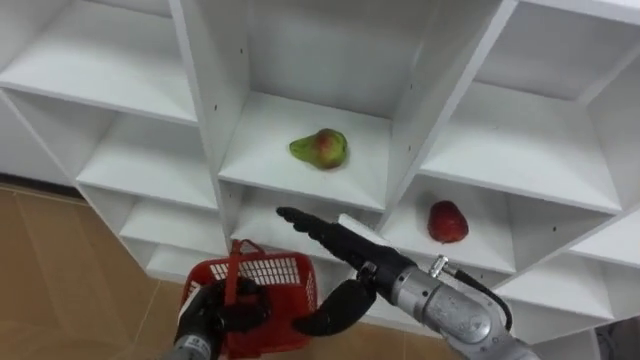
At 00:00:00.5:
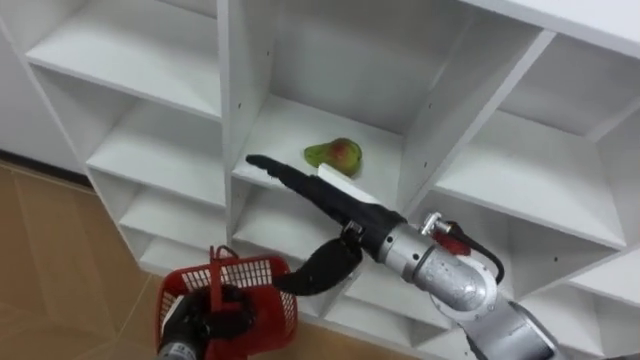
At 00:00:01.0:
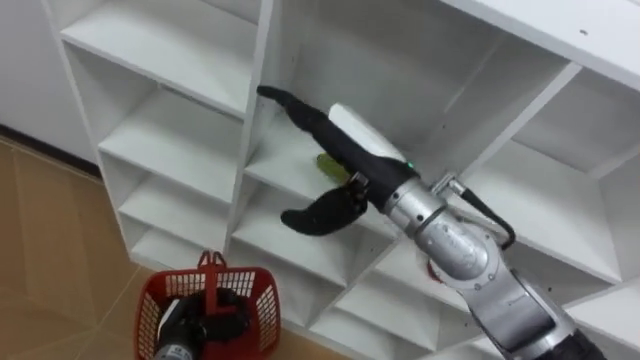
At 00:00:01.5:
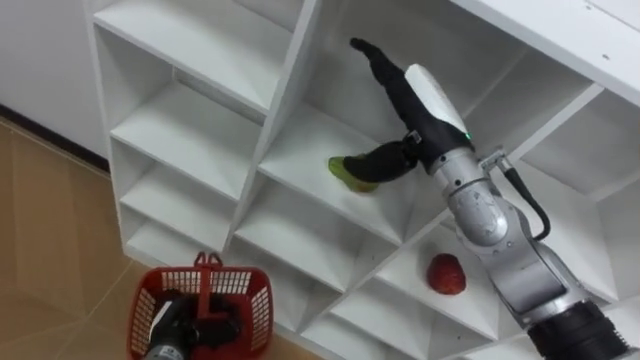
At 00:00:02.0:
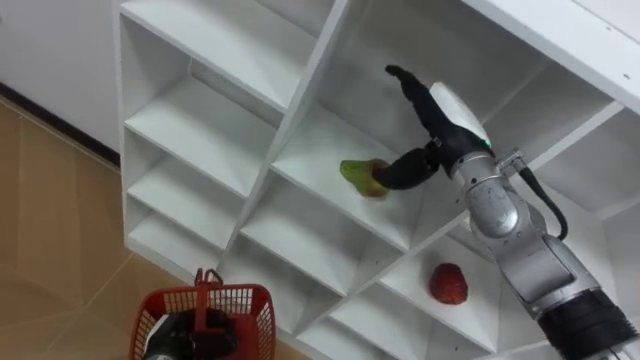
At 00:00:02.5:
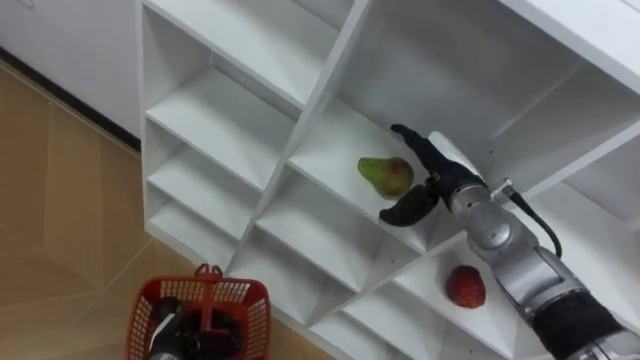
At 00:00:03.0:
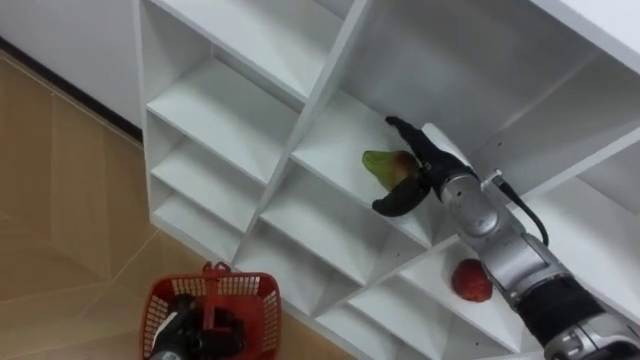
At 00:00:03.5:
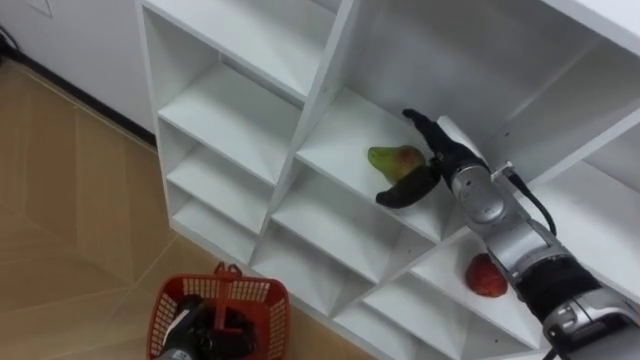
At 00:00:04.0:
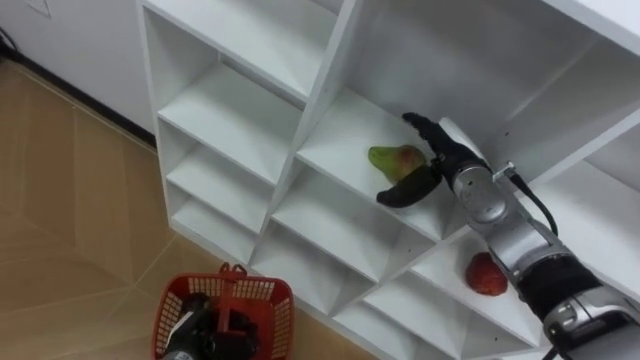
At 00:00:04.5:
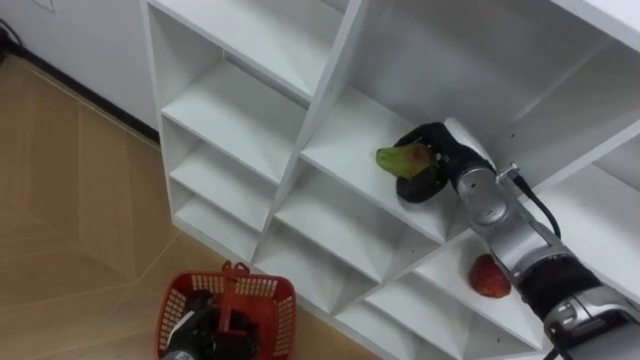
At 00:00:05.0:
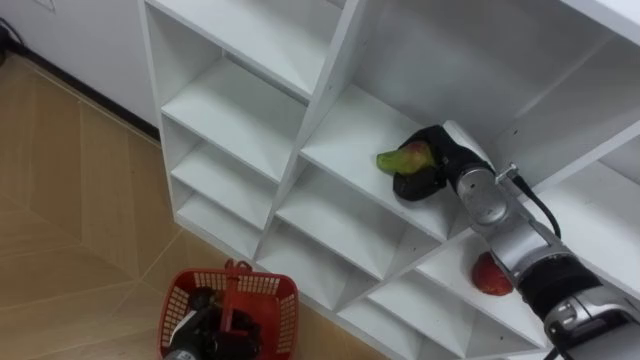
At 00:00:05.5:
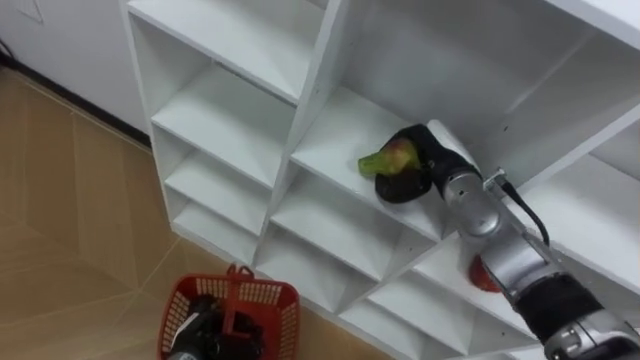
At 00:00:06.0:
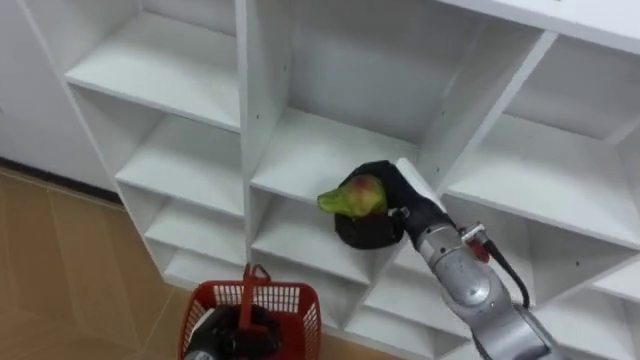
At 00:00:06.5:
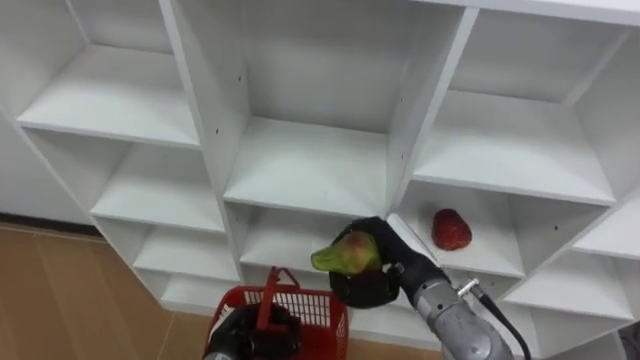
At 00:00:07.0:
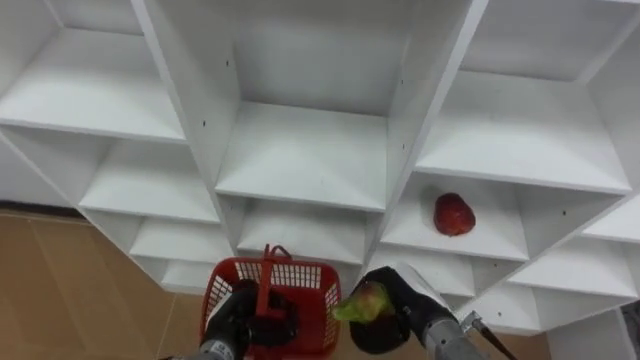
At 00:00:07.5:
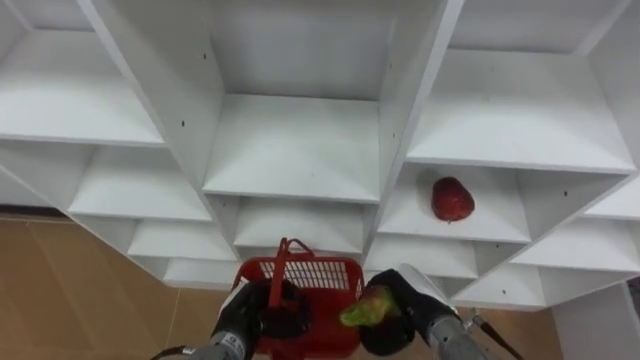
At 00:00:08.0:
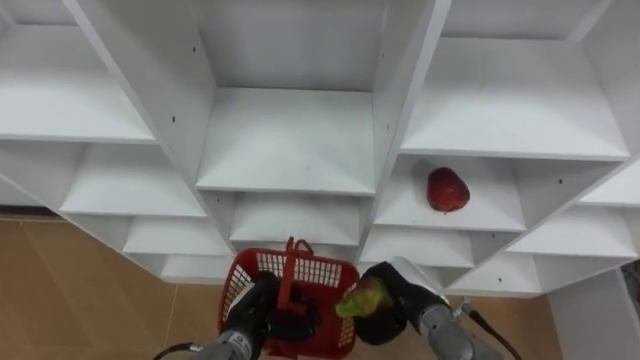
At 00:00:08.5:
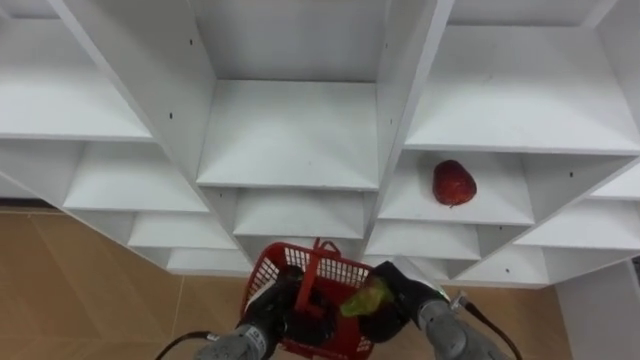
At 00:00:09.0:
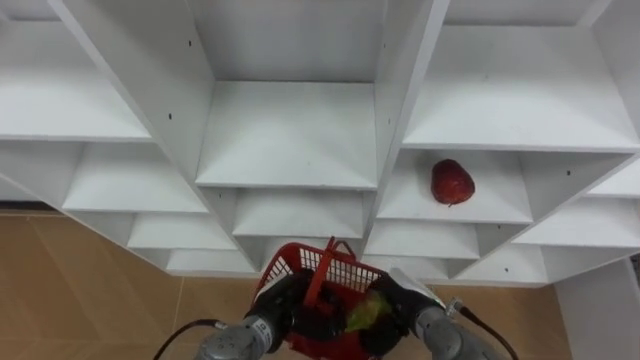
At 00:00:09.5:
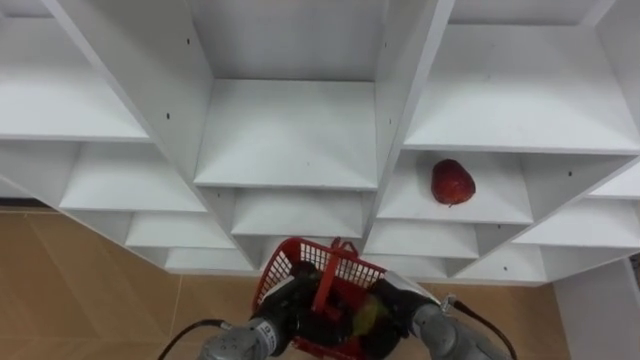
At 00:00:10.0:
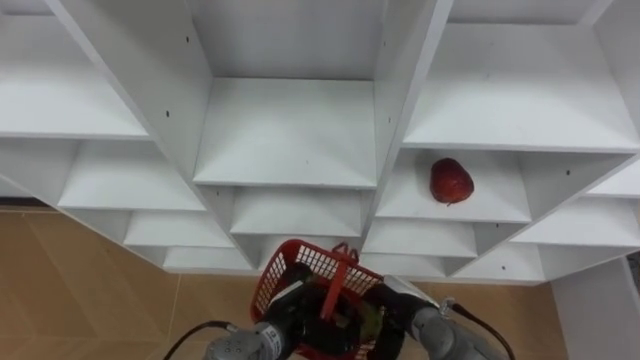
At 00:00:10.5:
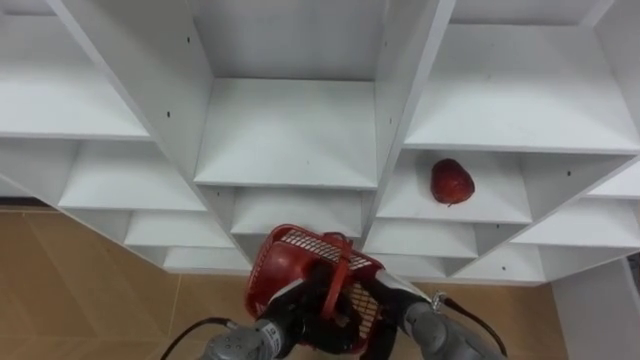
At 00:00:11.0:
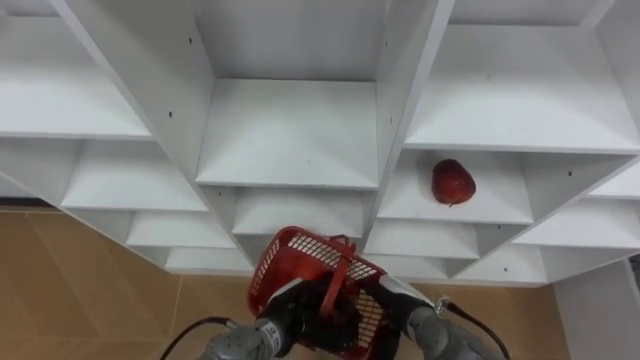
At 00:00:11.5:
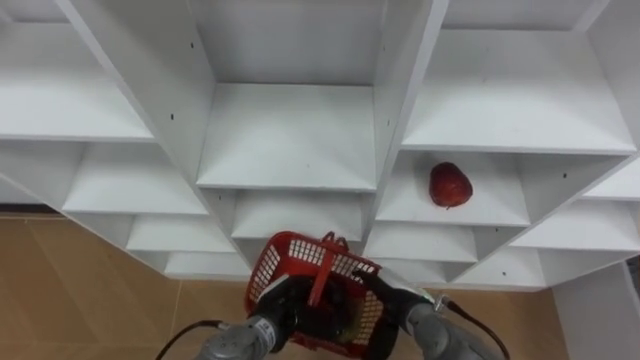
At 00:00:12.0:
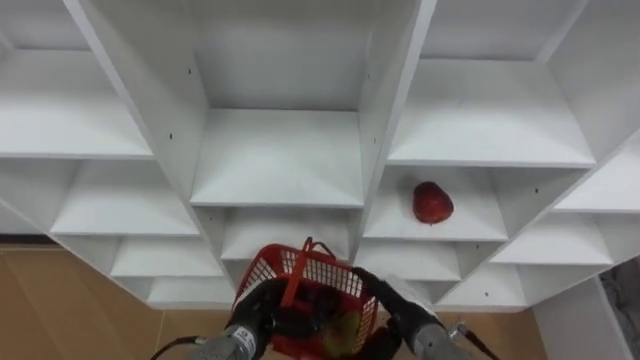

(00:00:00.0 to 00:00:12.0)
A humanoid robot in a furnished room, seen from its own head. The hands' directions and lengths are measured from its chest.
Task of the whole recording: Hold the basket and collect the fruits from 3 different cells of the closet into it.
00:00:00.0 - 00:00:02.0: The right hand heads forward, to the right and upward, covering roughly 20 cm, while the left hand shifts by approximately 5 cm.
00:00:02.0 - 00:00:04.0: The right hand moves downward, roughly 5 cm.
00:00:04.0 - 00:00:06.0: The right hand travels backward and to the left by some 10 cm, and closes.
00:00:06.0 - 00:00:08.0: The left hand goes approximately 5 cm to the right; the right hand heads downward and backward, covering roughly 15 cm.
00:00:08.0 - 00:00:10.0: The left hand heads to the right, covering approximately 5 cm. The right hand opens its fingers.
00:00:10.0 - 00:00:12.0: The left hand moves roughly 5 cm. Meanwhile the right hand opens up.

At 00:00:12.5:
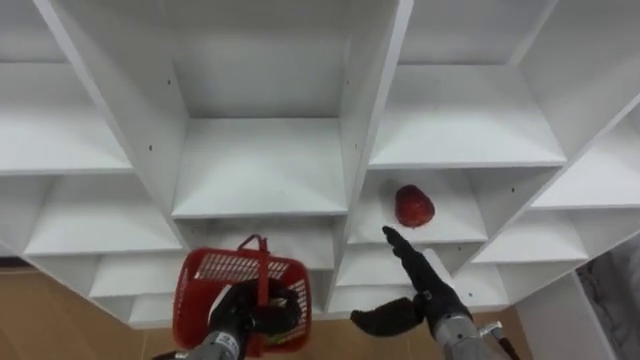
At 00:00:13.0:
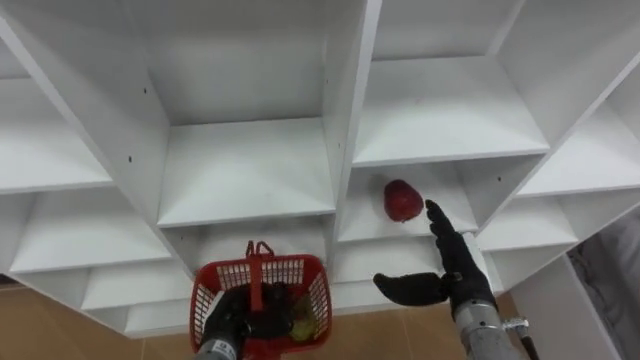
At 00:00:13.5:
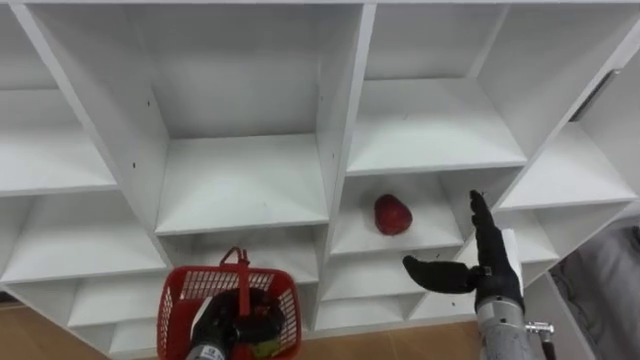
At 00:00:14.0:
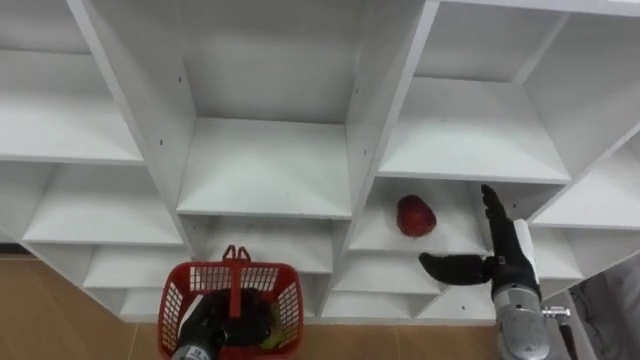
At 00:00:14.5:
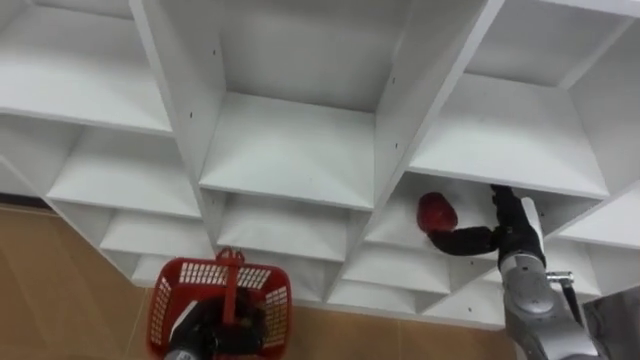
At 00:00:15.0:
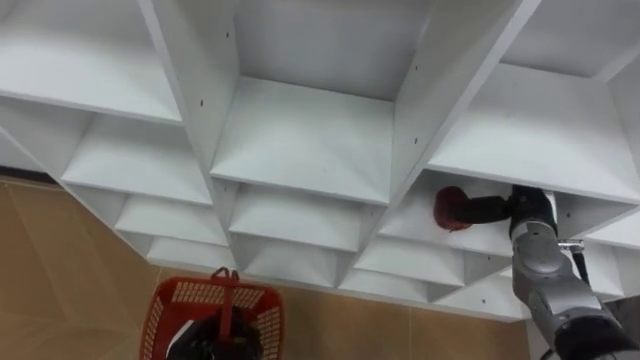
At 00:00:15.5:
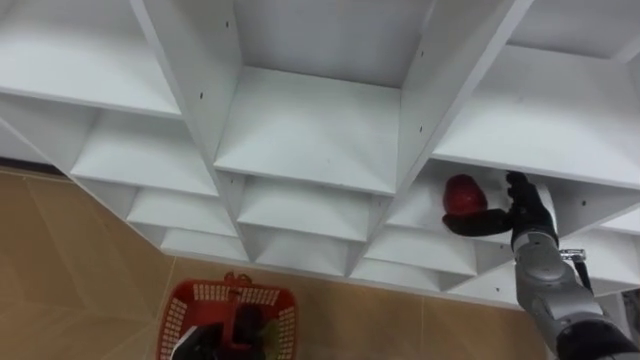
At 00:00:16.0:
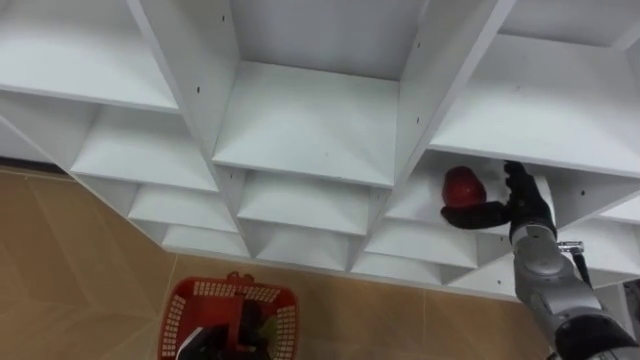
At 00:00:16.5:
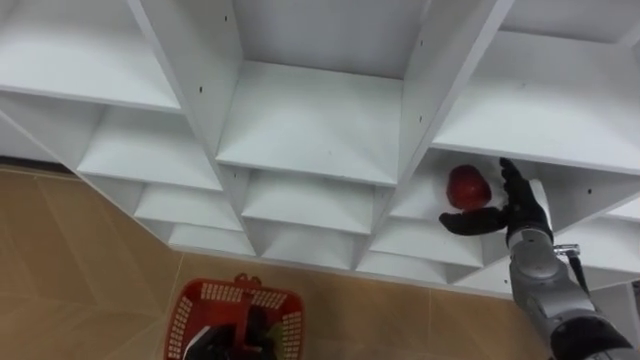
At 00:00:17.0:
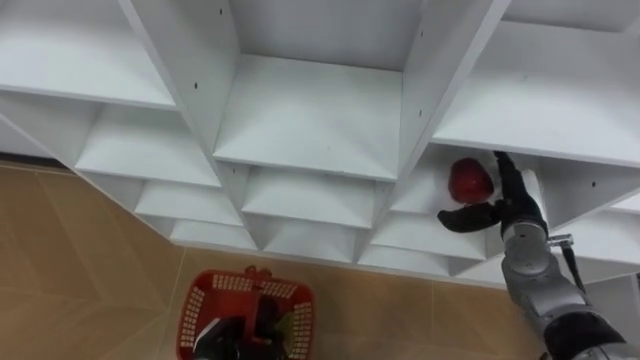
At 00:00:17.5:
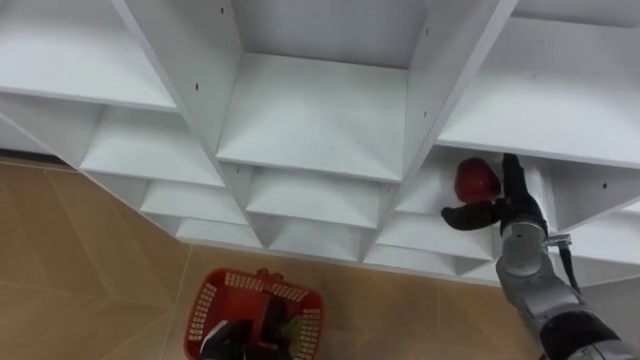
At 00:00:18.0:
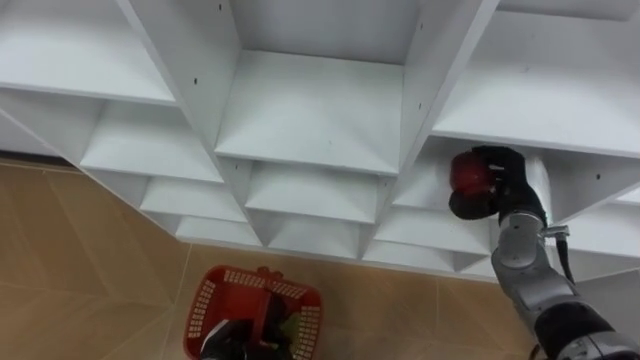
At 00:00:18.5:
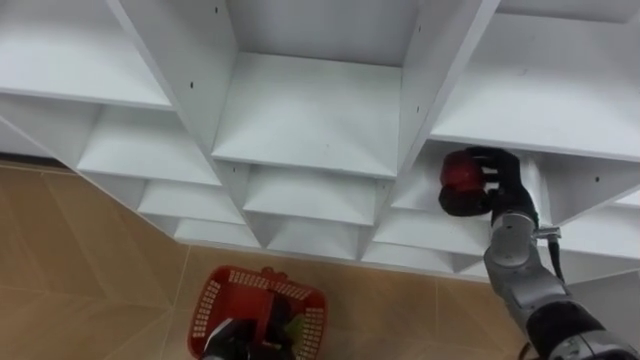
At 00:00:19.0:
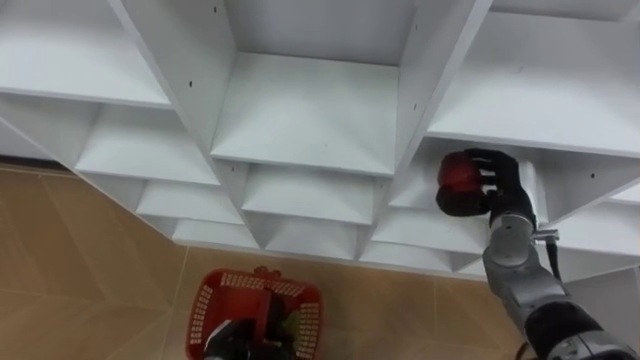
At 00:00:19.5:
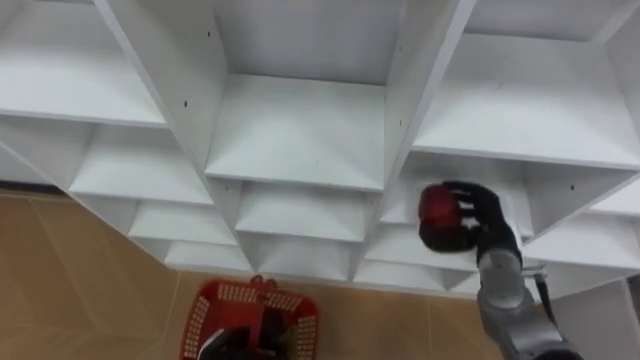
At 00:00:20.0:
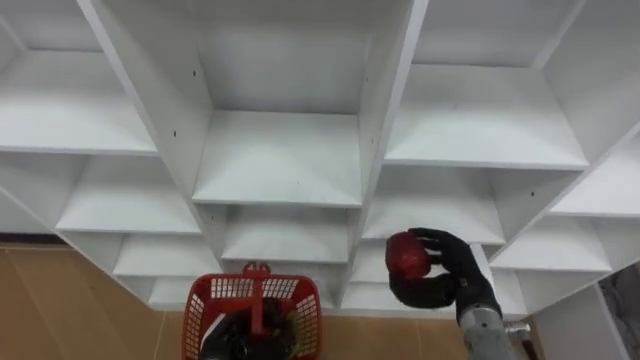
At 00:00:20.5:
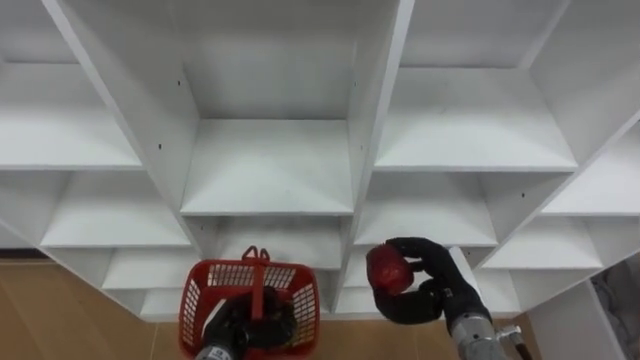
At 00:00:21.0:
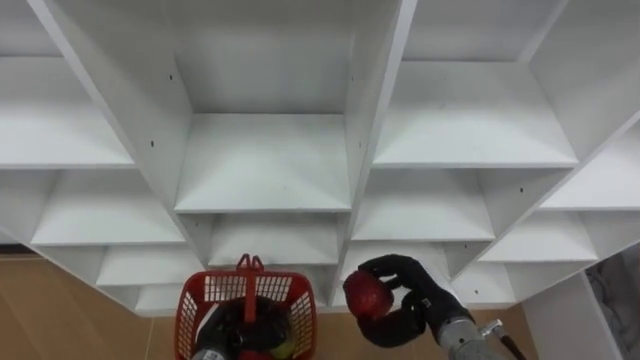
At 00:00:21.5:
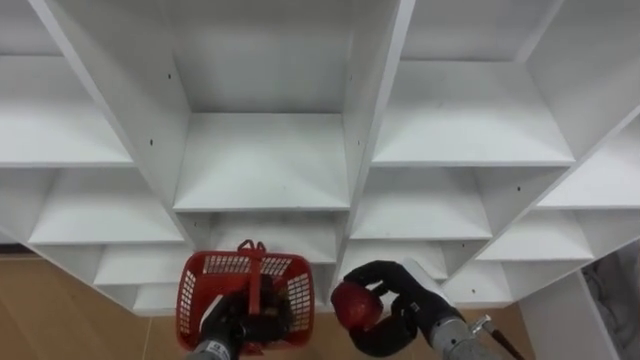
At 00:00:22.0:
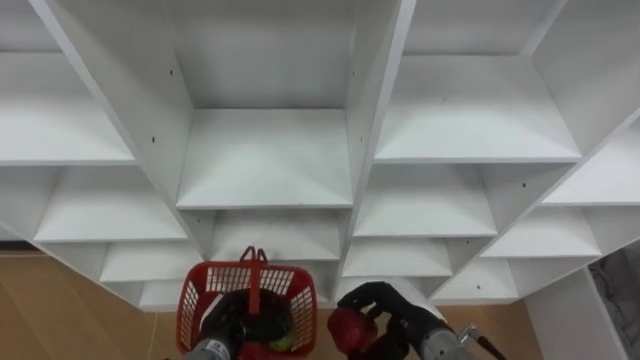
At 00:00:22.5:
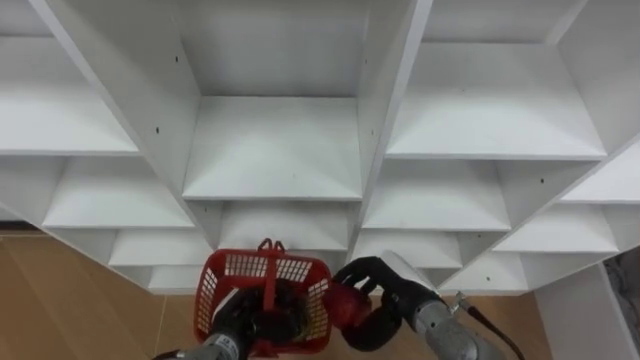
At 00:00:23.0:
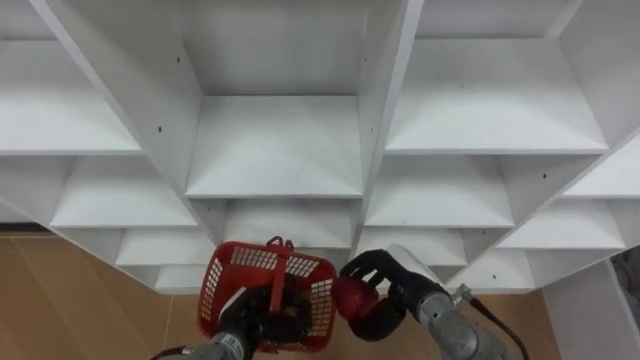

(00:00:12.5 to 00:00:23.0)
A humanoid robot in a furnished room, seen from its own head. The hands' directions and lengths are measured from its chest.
Task of the whole recording: Hold the basket and collect the fruits from 3 different cells of the closet into it.
00:00:12.5 - 00:00:14.5: The right hand goes roughly 15 cm to the right and forward. Meanwhile the left hand is displaced to the left by roughly 5 cm.
00:00:16.5 - 00:00:19.0: The right hand closes.
00:00:19.0 - 00:00:21.0: The right hand goes roughly 15 cm backward, to the left and downward.
